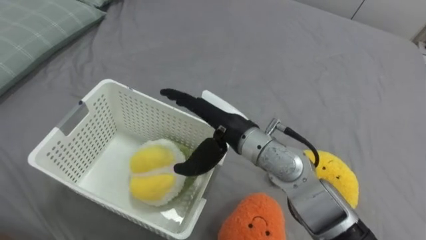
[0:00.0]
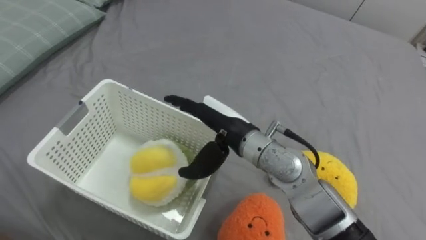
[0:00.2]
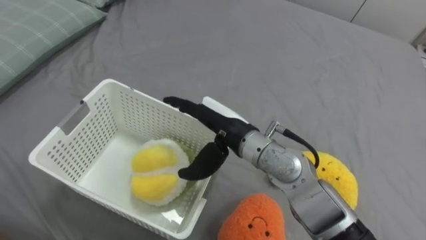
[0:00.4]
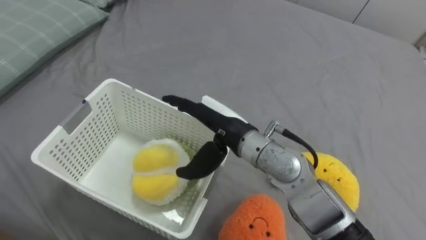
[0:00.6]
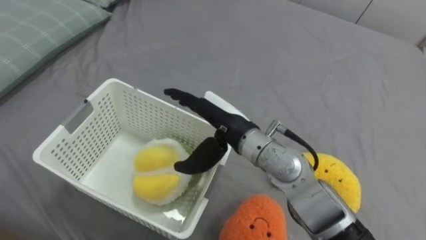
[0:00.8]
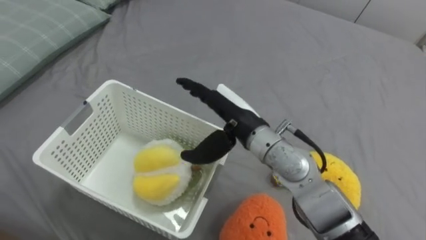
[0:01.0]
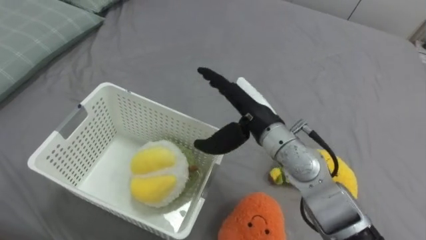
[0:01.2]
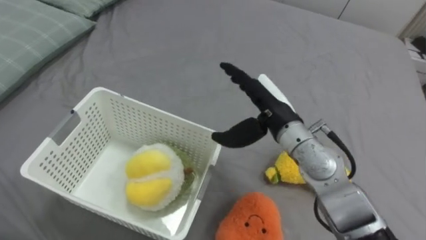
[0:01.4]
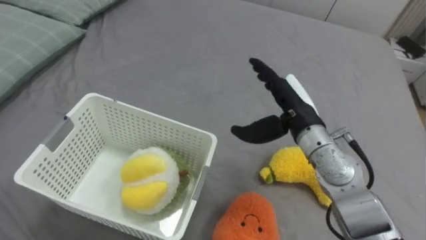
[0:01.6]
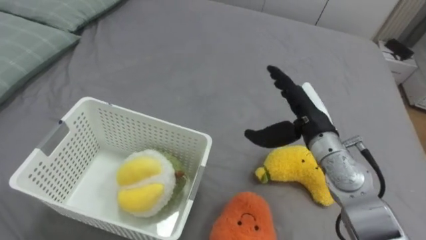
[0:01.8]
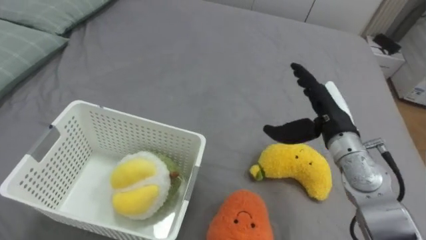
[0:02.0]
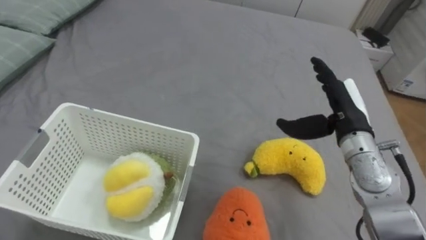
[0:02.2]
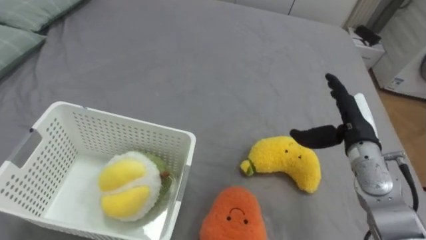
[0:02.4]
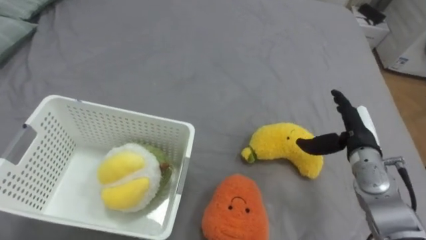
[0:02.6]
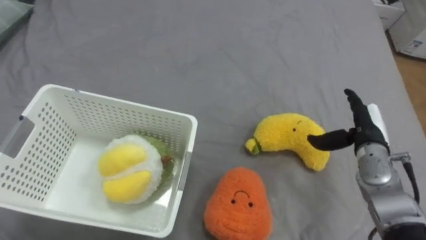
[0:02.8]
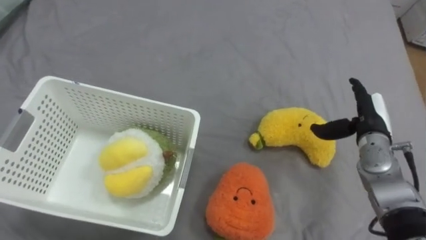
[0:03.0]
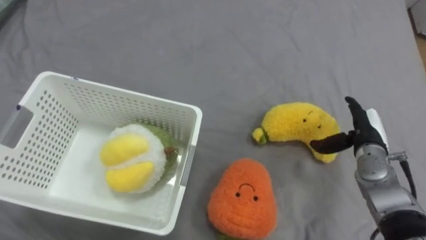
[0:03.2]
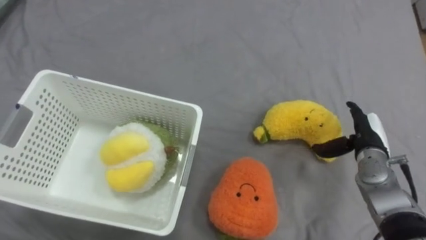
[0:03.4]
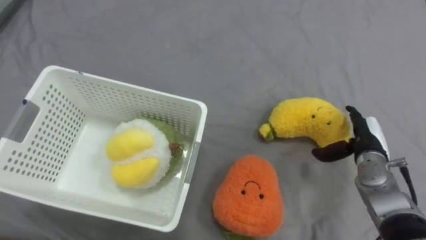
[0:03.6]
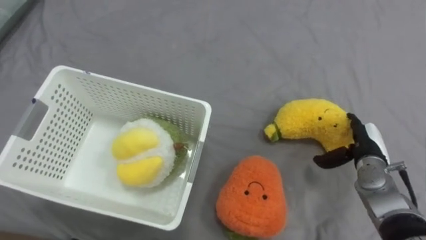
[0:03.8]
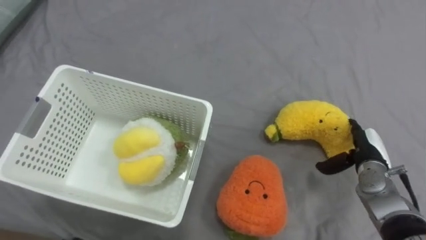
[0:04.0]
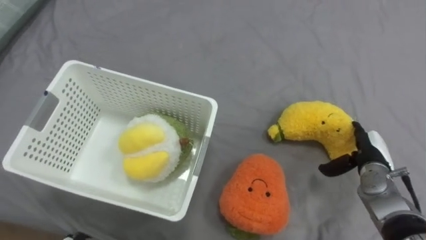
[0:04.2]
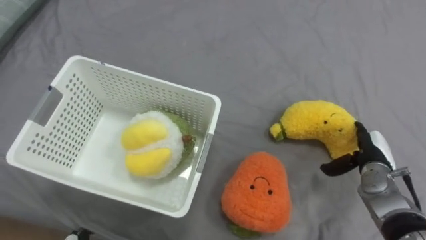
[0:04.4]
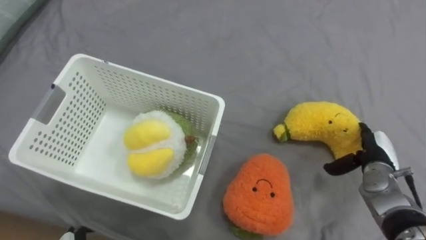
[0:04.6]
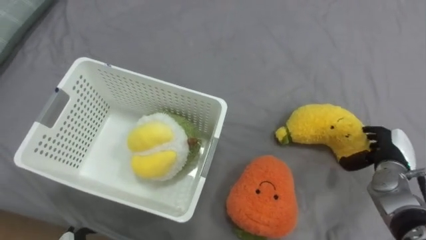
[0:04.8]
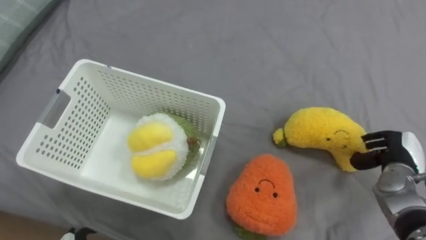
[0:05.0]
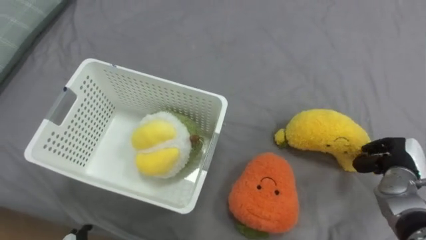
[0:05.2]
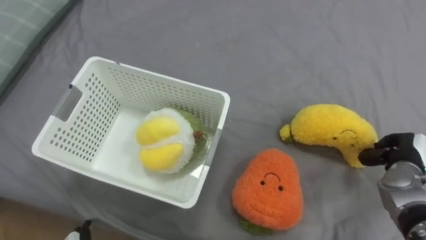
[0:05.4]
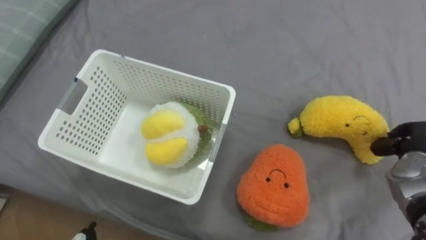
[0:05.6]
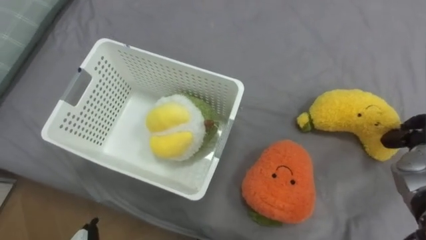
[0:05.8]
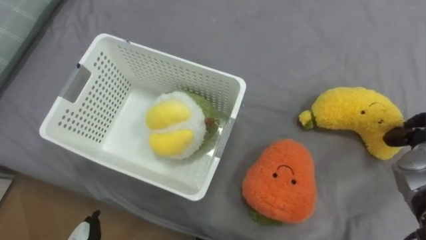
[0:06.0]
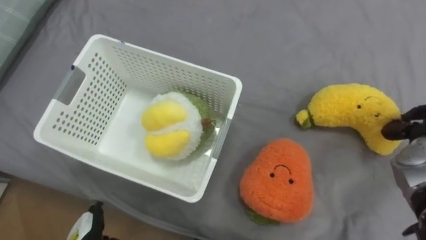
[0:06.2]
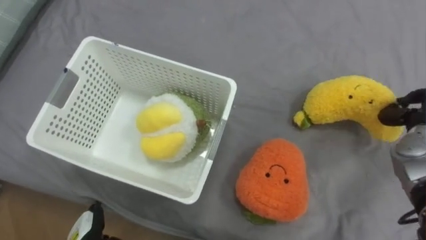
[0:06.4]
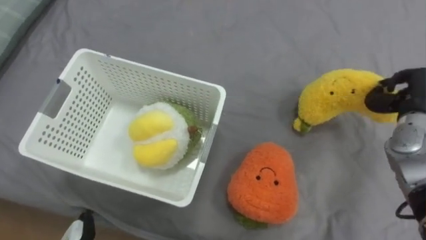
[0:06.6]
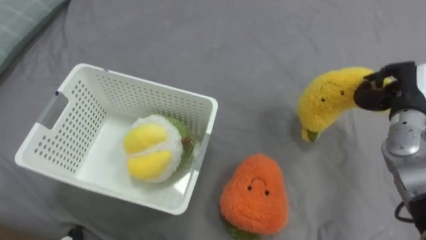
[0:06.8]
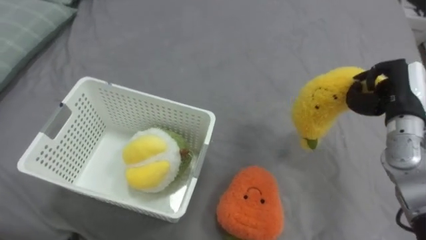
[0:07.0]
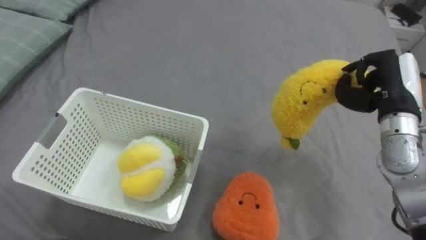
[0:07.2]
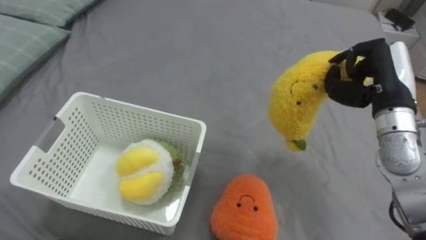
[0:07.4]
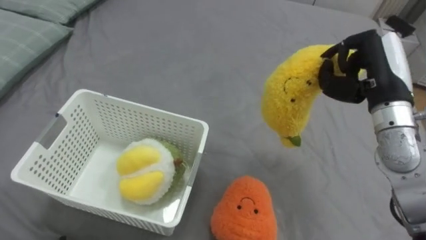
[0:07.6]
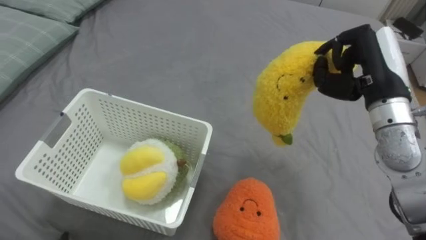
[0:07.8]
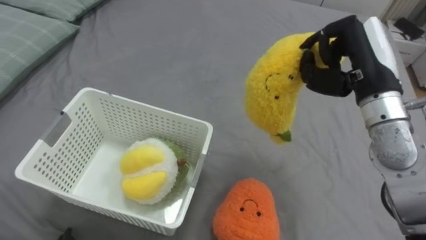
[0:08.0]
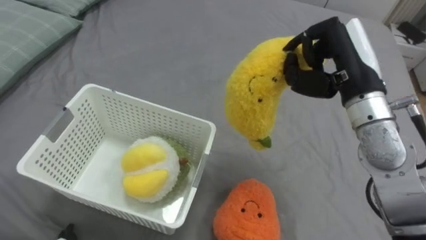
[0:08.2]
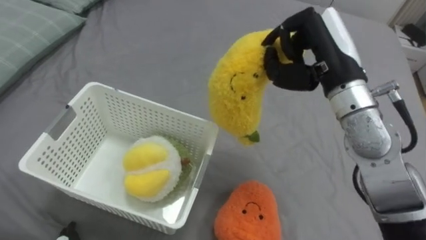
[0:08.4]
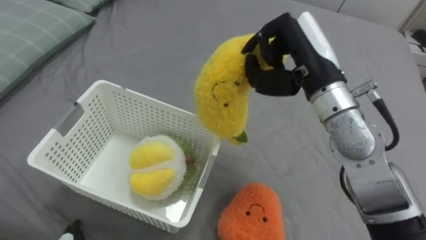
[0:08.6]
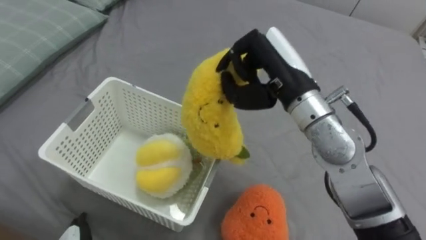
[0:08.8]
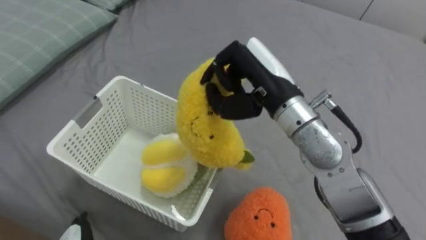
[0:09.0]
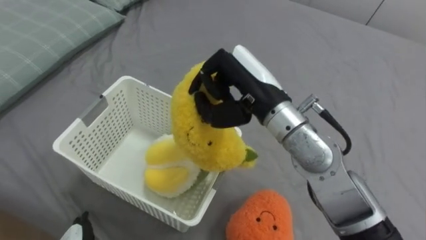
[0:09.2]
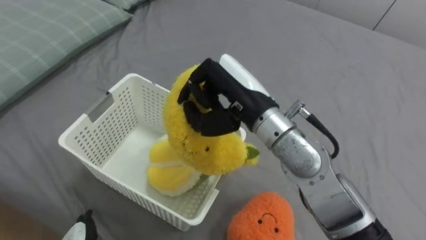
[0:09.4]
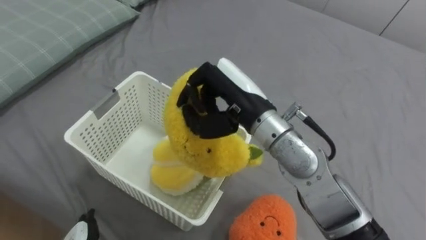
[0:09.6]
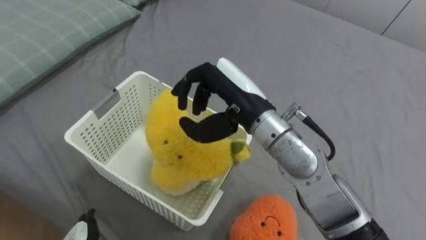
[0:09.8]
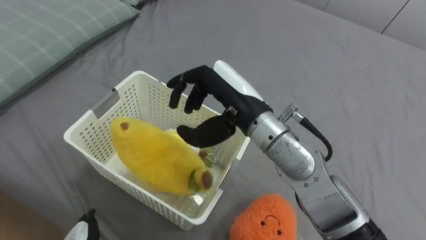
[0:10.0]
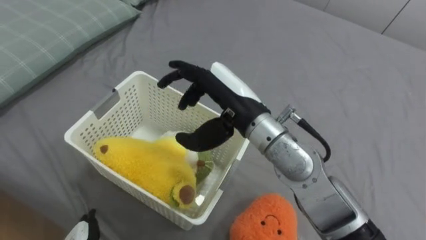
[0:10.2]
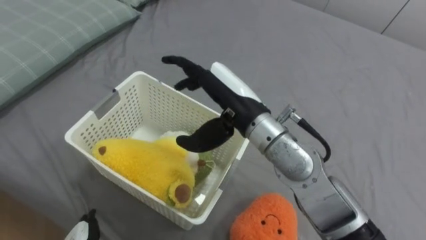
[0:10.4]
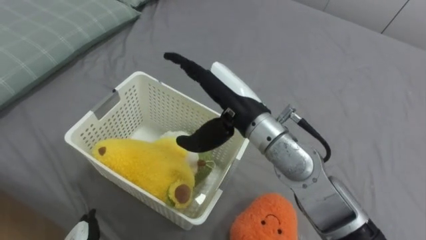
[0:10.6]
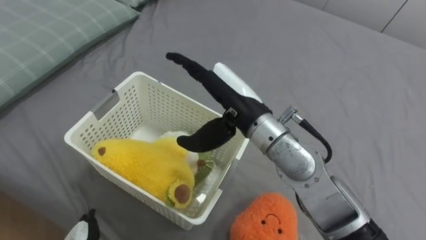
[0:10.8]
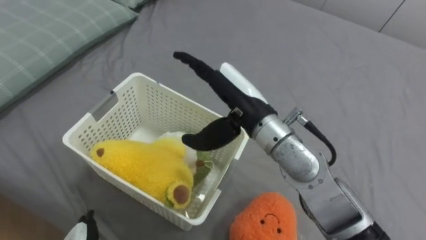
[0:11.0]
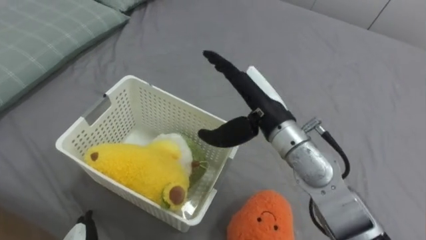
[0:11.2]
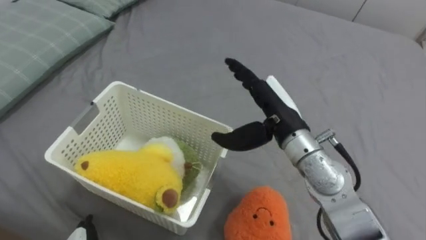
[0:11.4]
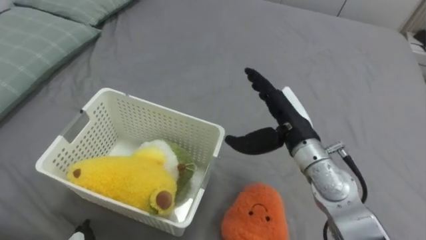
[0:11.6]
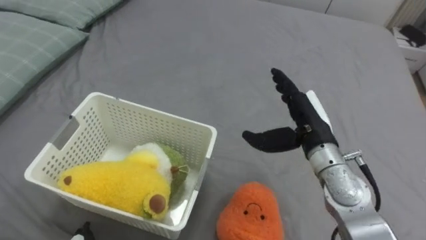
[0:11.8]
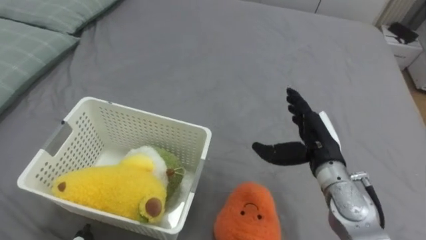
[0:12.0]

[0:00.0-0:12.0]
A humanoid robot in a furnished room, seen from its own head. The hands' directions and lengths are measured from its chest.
Task of the whole recording: Put the toys on the bed into the basket on the left.
0:00.0 to 0:01.6: The right hand is displaced to the right by some 10 cm.
0:01.6 to 0:03.0: The right hand shifts approximately 20 cm to the right and downward.
0:03.0 to 0:04.4: The right hand is displaced downward by about 5 cm.
0:07.6 to 0:09.0: The right hand is displaced to the left by approximately 20 cm.
0:09.0 to 0:10.4: The right hand ends up approximately 5 cm from where it was, and opens its fingers.
0:10.4 to 0:12.0: The right hand travels to the right and downward by approximately 20 cm.

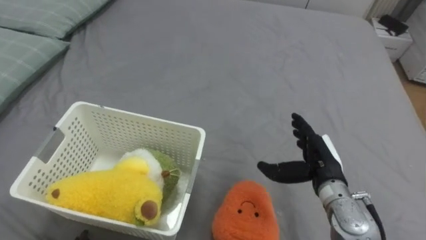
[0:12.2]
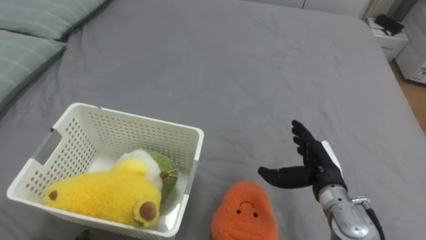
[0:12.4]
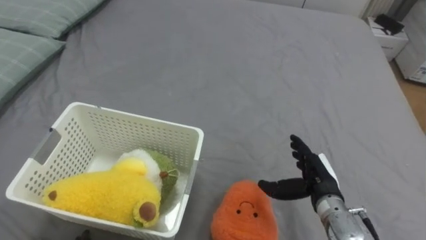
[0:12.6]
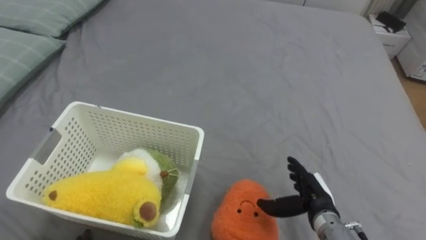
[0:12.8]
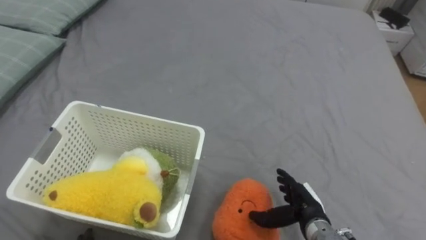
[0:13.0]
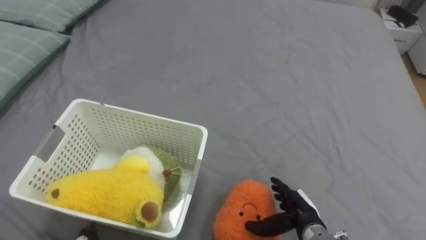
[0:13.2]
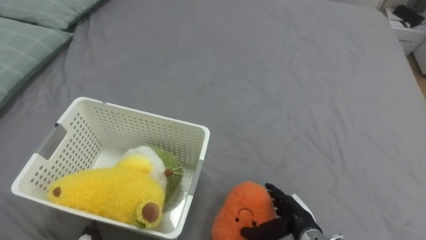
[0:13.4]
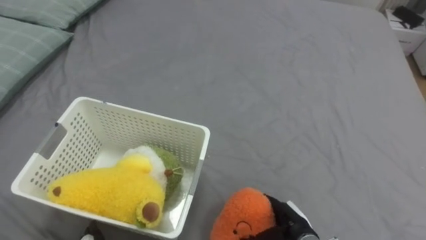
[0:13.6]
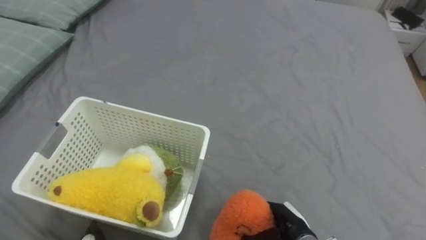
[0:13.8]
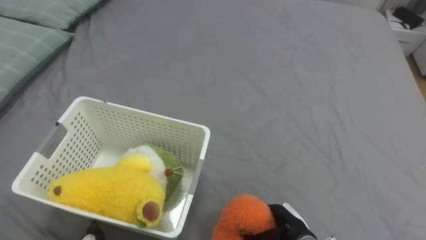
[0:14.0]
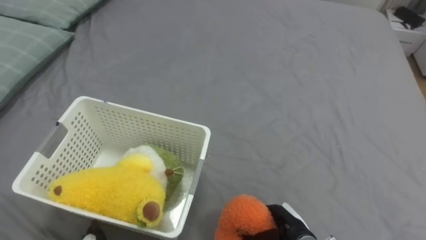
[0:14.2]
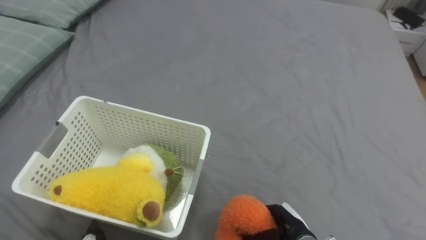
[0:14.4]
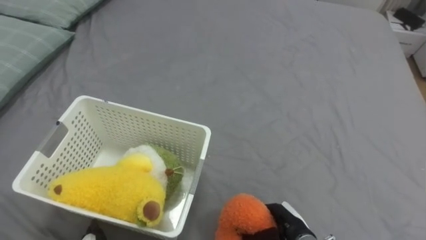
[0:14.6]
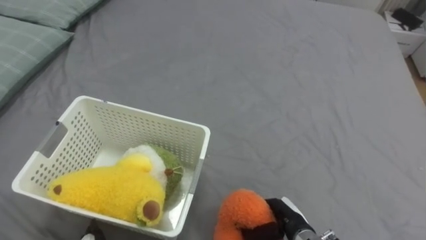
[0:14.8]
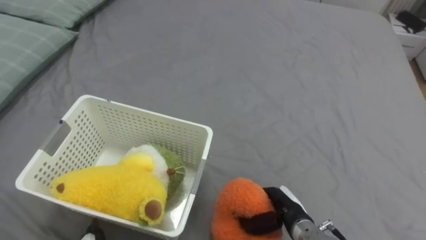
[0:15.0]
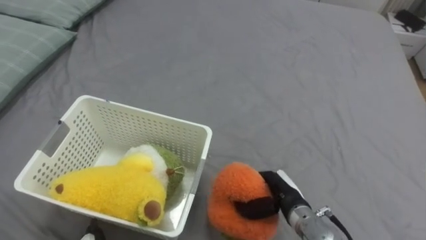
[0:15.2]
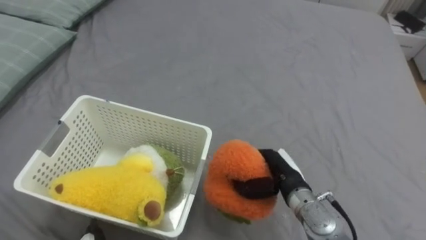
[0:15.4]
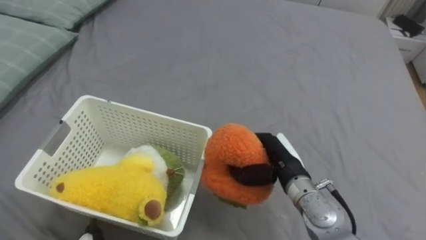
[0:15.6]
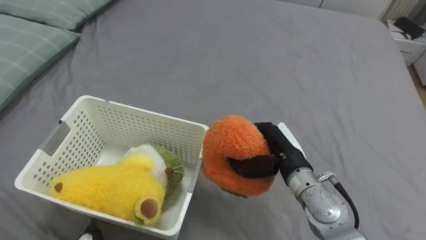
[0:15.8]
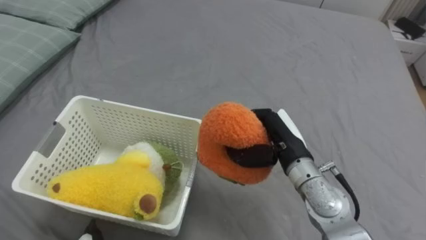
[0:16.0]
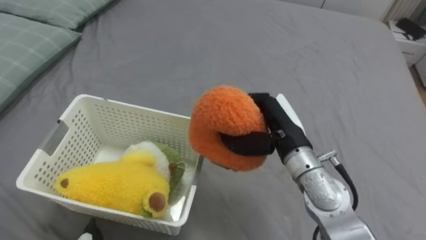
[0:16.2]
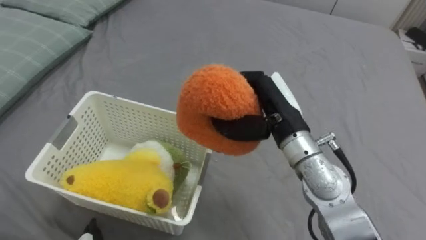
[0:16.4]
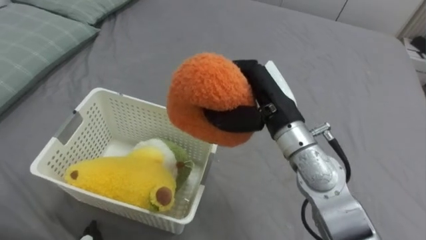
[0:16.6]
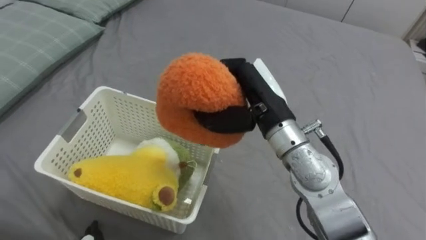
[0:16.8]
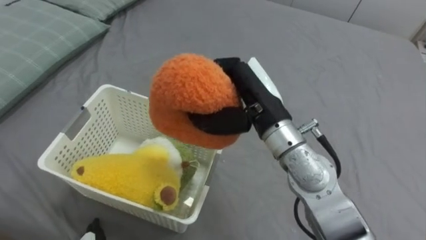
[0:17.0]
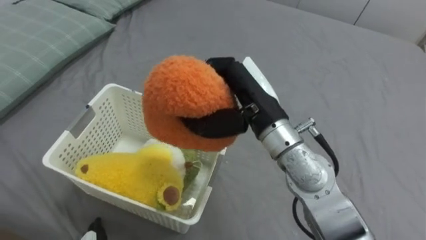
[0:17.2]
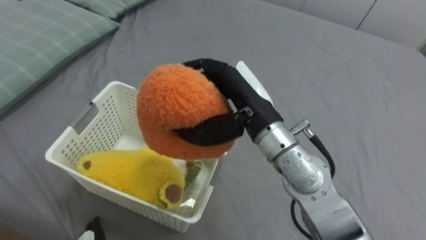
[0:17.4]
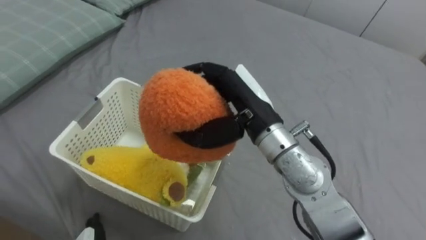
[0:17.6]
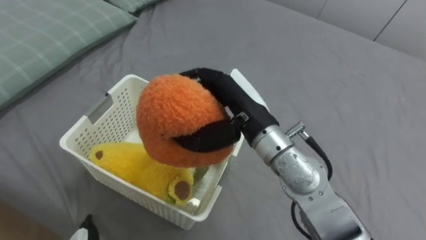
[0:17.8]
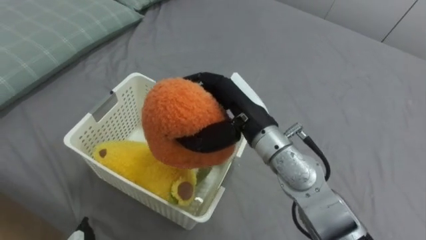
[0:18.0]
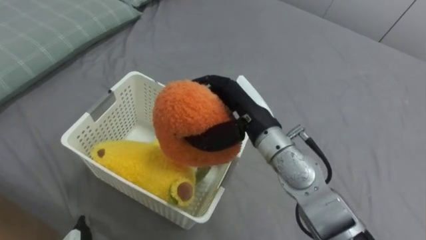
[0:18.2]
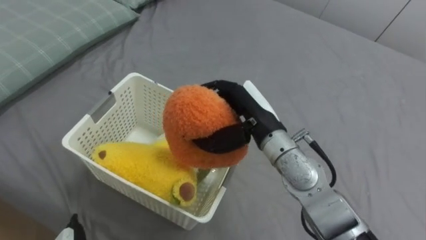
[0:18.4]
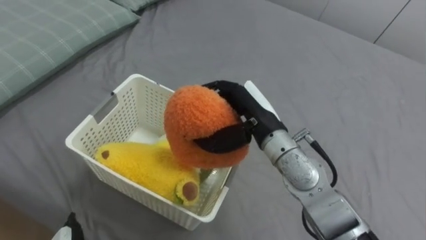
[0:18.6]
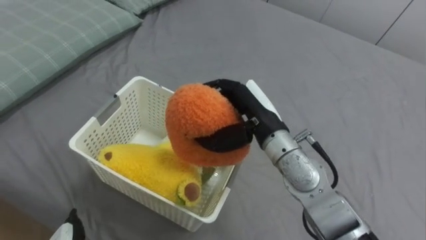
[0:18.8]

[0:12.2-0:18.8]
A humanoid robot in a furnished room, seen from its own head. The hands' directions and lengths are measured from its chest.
Task of the whole recording: Put the toys on the bed into the basket on the left.
0:12.2 to 0:13.8: The right hand moves downward and backward, some 15 cm, and closes its fingers.
0:13.8 to 0:15.4: The right hand shifts roughly 10 cm upward and forward, and closes its fingers.
0:15.4 to 0:17.2: The right hand travels upward and to the left by approximately 20 cm.
0:17.2 to 0:18.8: The right hand shifts approximately 5 cm downward.
